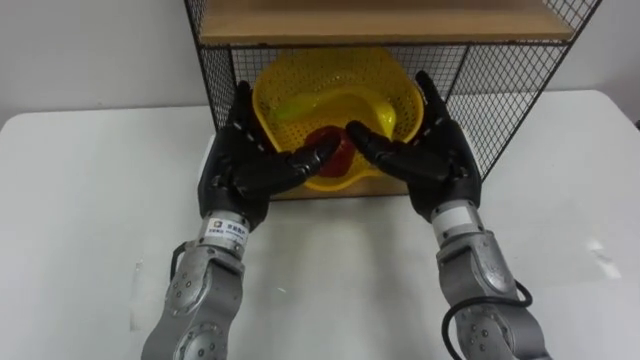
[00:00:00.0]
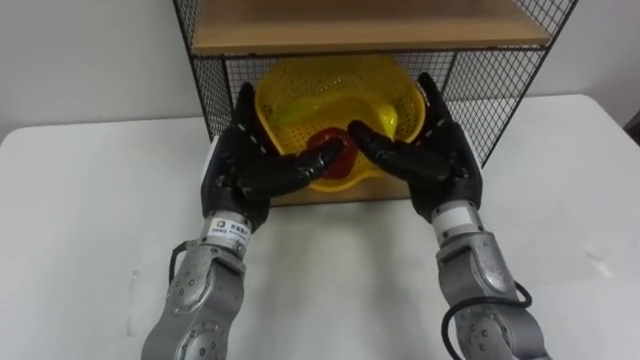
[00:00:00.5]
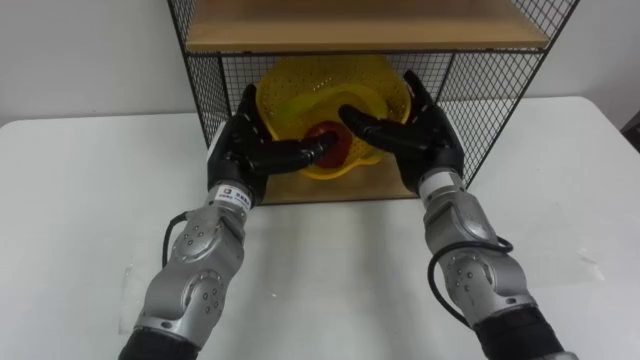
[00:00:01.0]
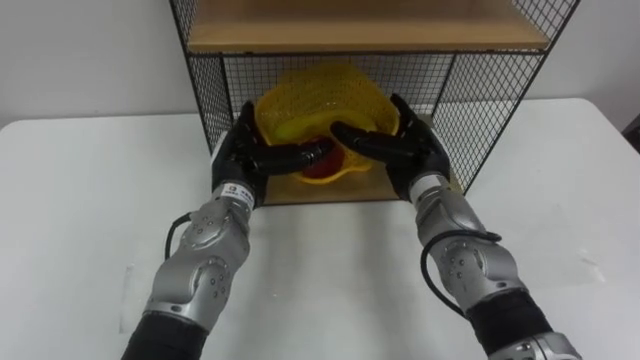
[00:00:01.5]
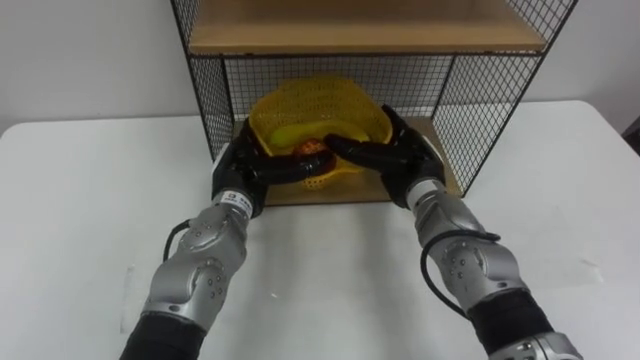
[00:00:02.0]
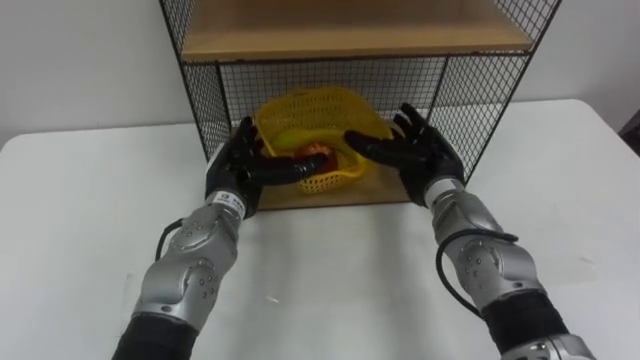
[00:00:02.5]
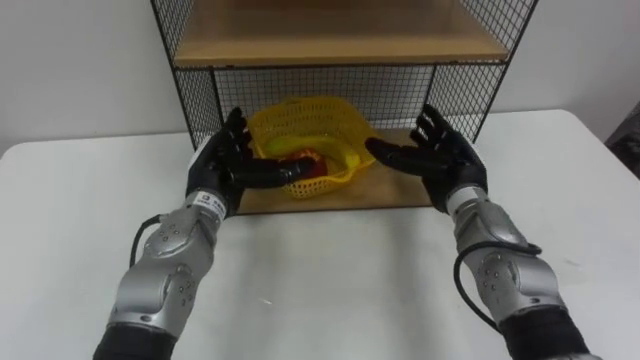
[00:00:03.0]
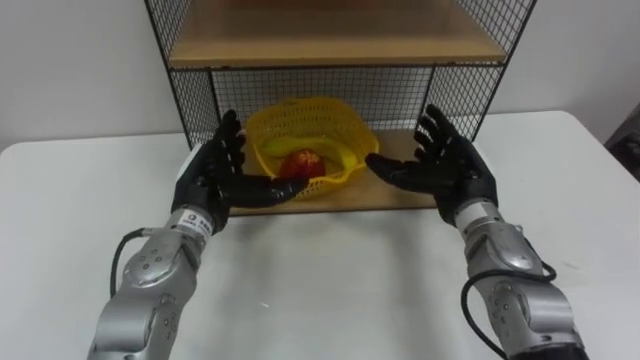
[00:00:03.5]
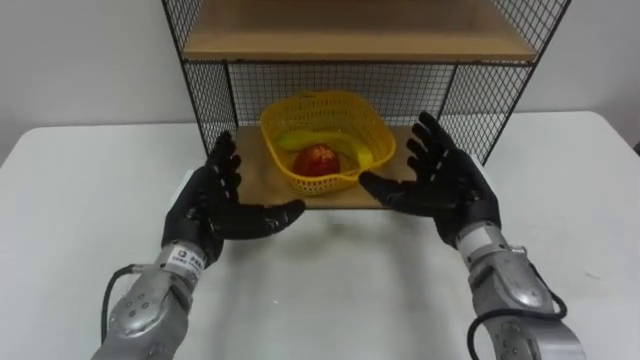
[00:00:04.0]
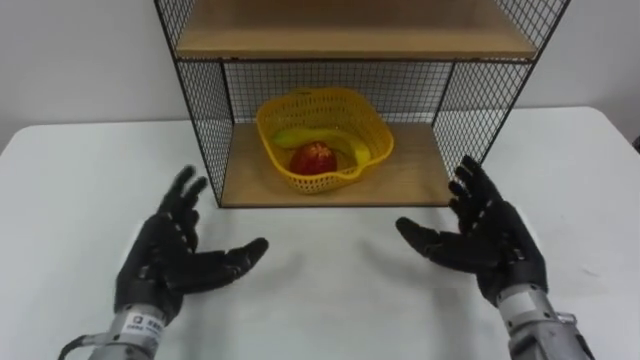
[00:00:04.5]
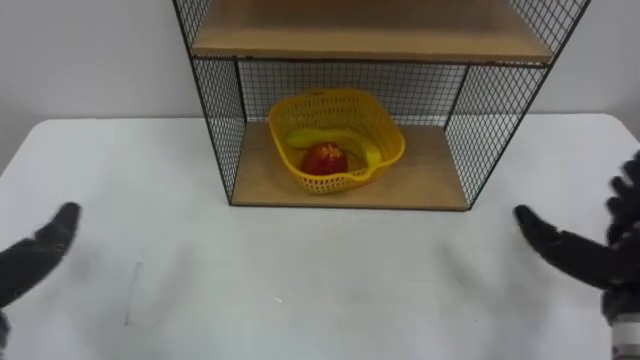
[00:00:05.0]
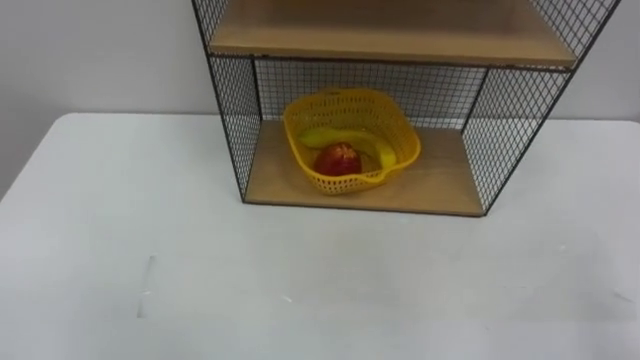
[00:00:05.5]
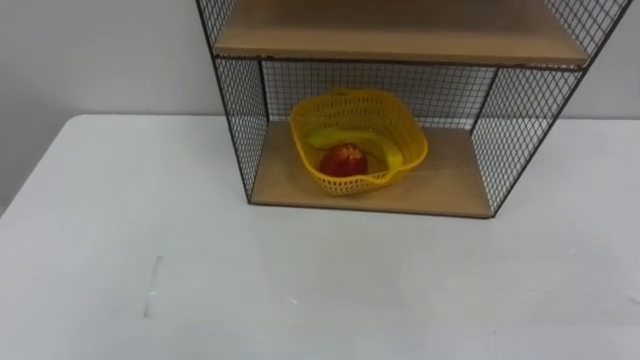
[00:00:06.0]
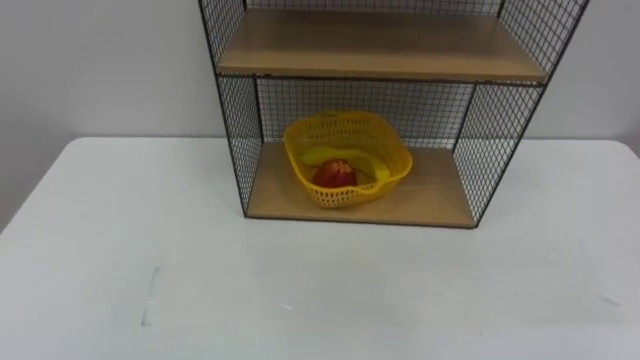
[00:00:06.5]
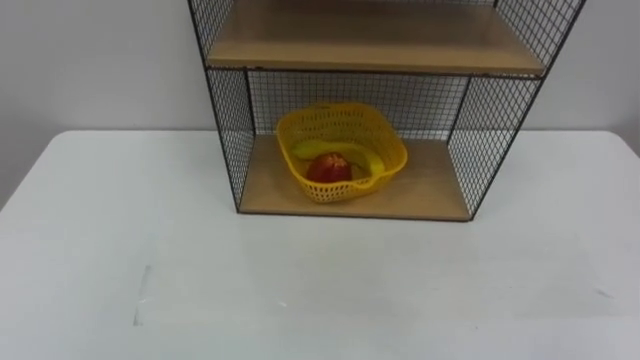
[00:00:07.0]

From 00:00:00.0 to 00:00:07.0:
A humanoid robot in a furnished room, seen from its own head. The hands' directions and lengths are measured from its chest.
Task of the whole recording: Put the fruit on the table into the basket, then place the basket on the shelf.
From 00:00:00.0 to 00:00:02.0: The hands both shift downward by roughly 5 cm.
From 00:00:02.0 to 00:00:03.5: The left hand moves roughly 5 cm. Meanwhile the right hand goes about 5 cm to the right.
From 00:00:03.5 to 00:00:05.0: The right hand heads backward and to the right, covering some 20 cm.

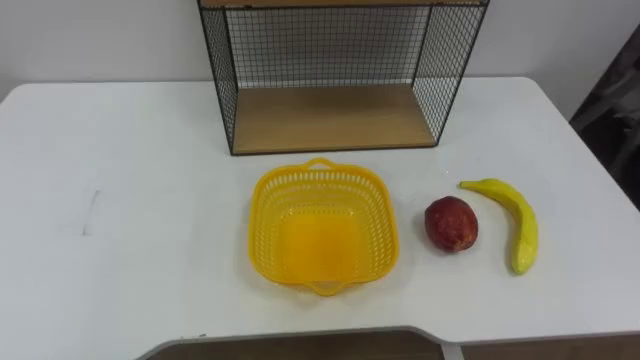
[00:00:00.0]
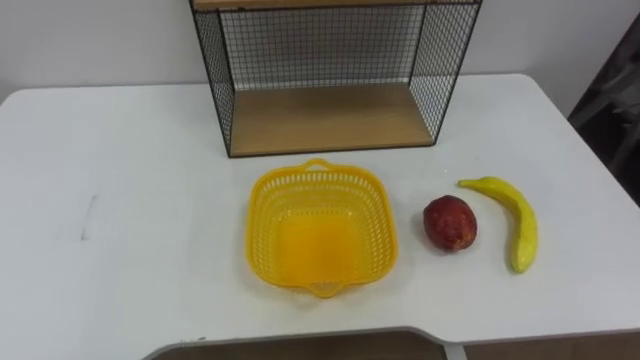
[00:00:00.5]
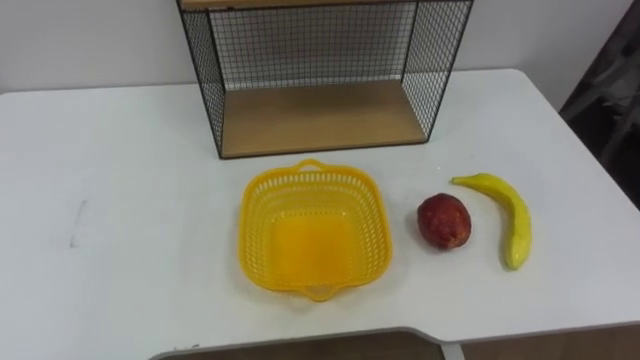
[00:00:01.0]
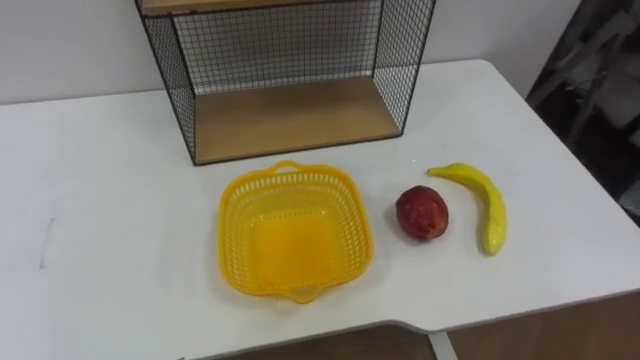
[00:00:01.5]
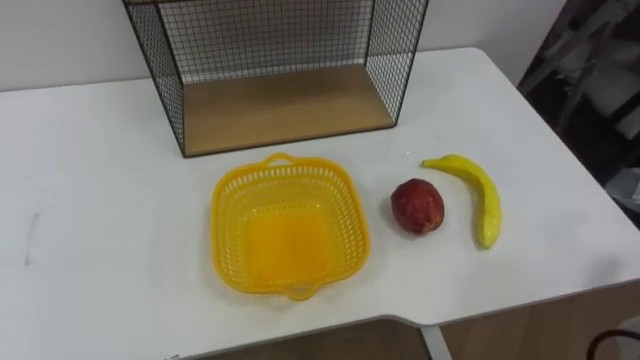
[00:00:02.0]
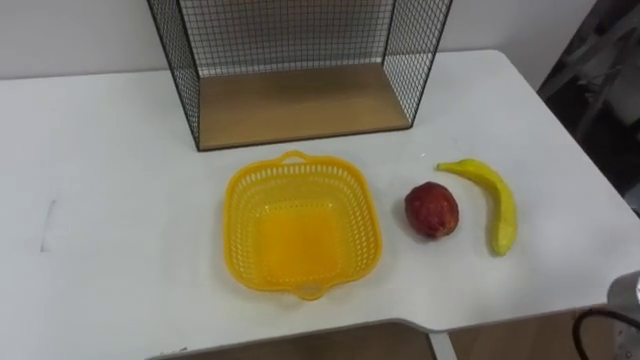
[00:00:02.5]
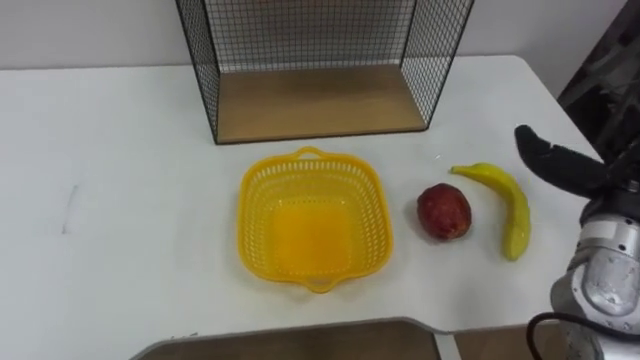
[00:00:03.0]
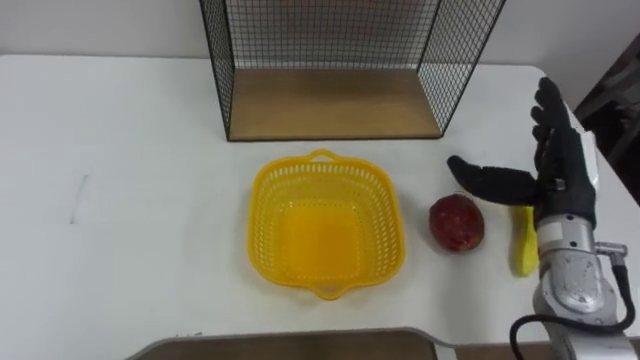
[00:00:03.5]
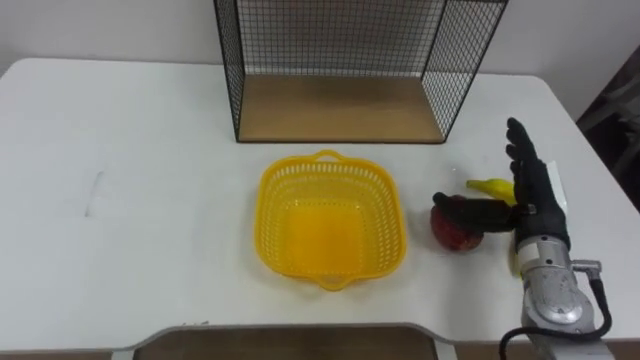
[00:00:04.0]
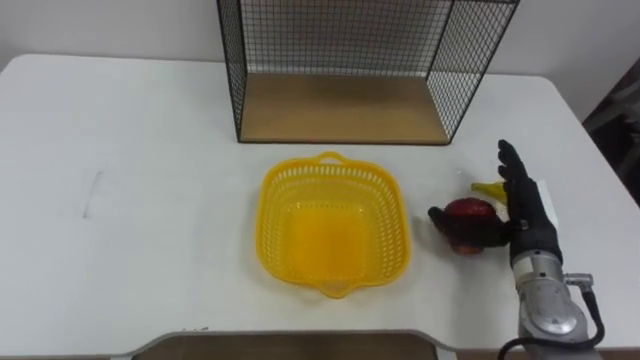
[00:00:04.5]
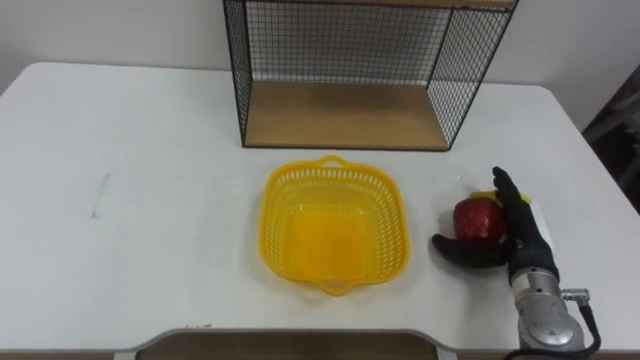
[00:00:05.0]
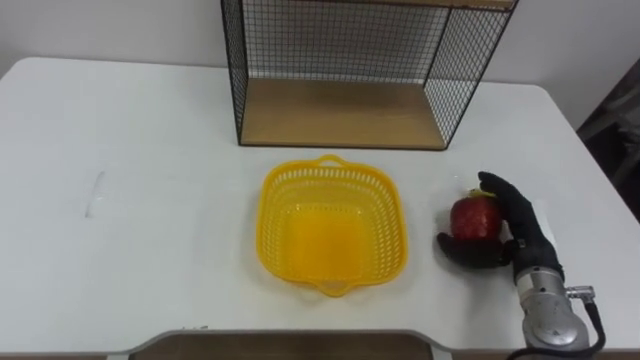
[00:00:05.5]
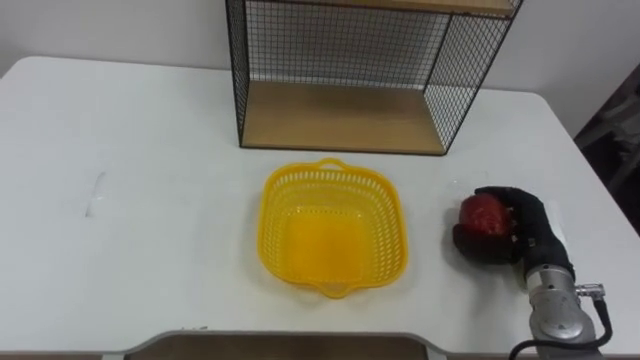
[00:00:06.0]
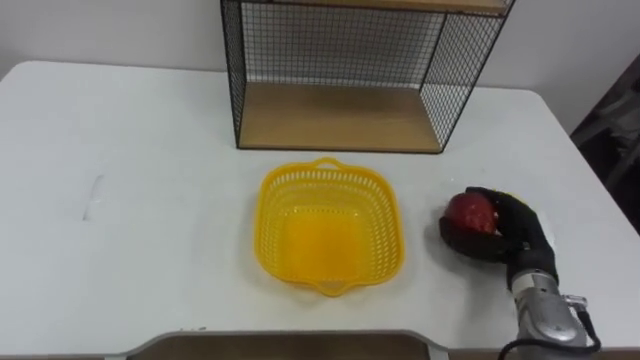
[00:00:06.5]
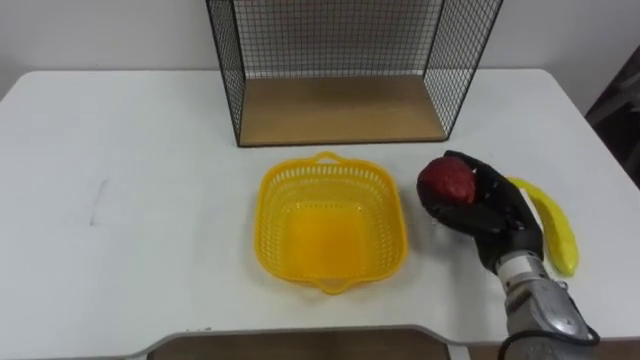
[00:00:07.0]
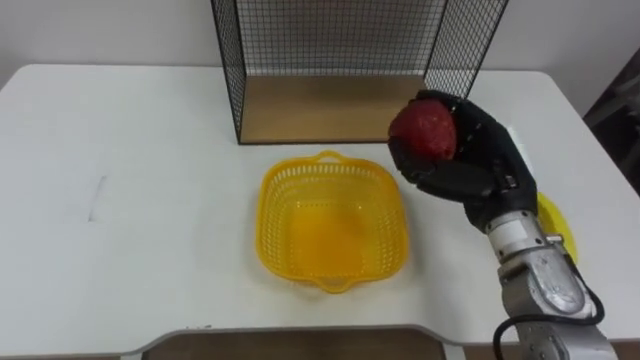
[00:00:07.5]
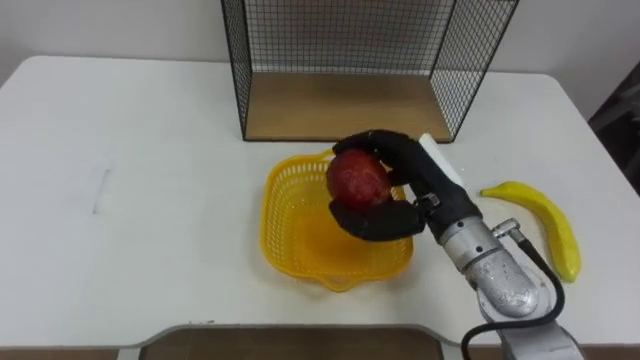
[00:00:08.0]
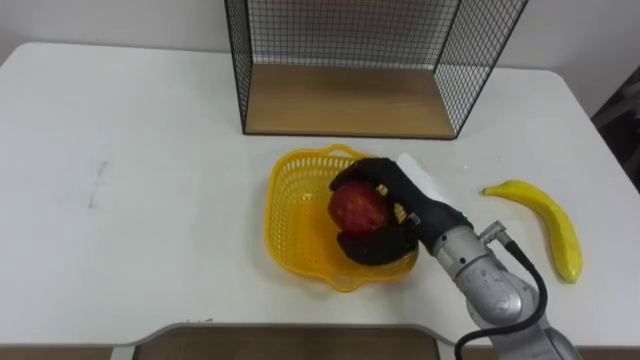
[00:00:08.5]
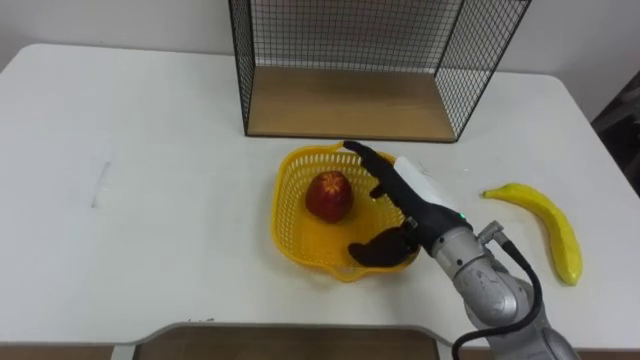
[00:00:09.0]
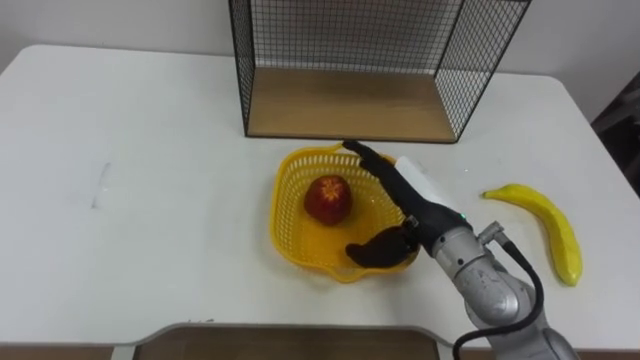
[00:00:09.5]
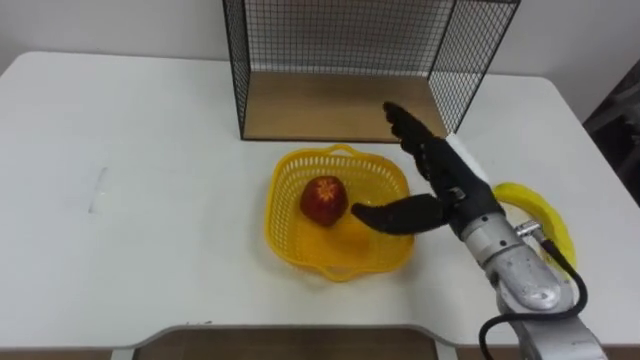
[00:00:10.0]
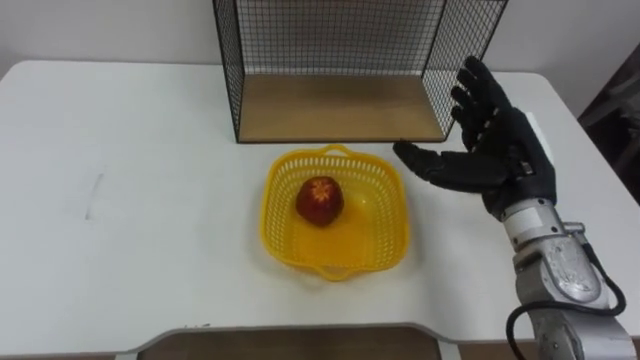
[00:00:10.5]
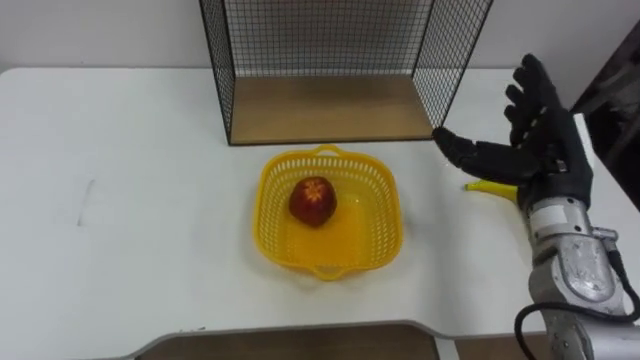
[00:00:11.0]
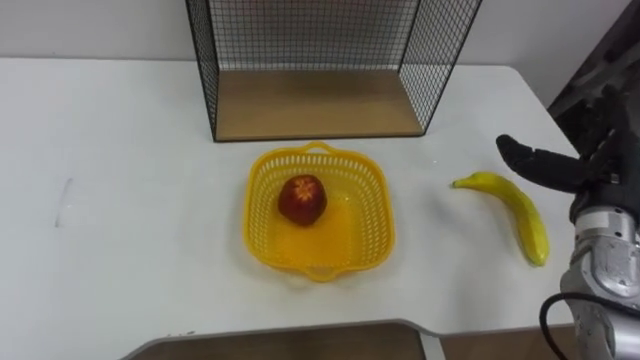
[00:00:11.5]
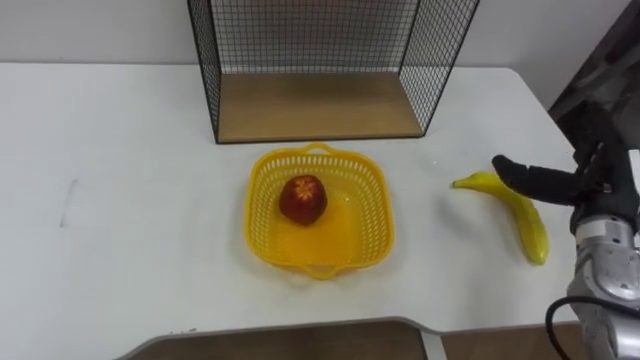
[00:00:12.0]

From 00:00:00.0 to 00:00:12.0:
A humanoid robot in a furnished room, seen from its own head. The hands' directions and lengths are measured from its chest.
Task of the whole recording: Put the fruit on the table into the basket, then place the basket on the shelf.
From 00:00:04.0 to 00:00:06.0: The right hand goes approximately 5 cm downward, and closes up.
From 00:00:06.0 to 00:00:08.0: The right hand heads to the left and upward, covering approximately 20 cm.
From 00:00:08.0 to 00:00:10.0: The right hand opens its fingers.
From 00:00:10.0 to 00:00:12.0: The right hand moves to the right, roughly 15 cm.

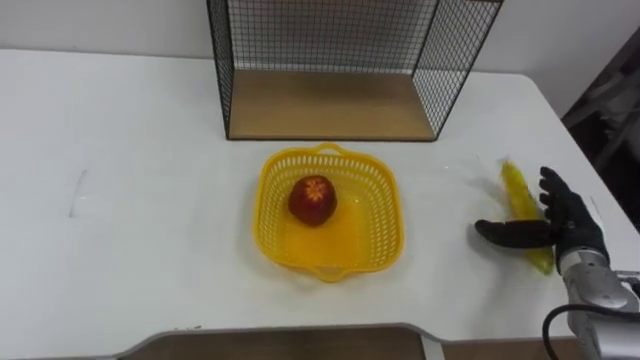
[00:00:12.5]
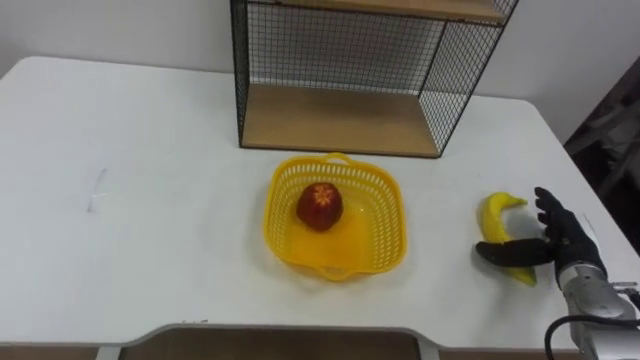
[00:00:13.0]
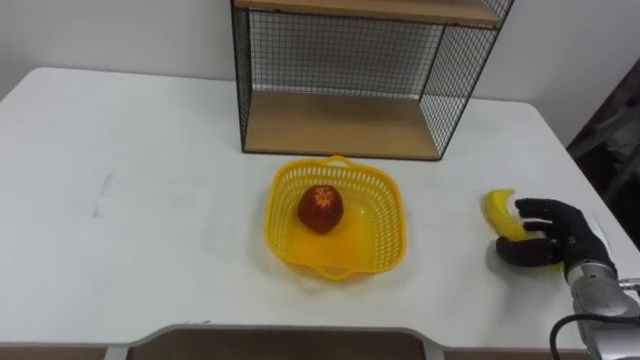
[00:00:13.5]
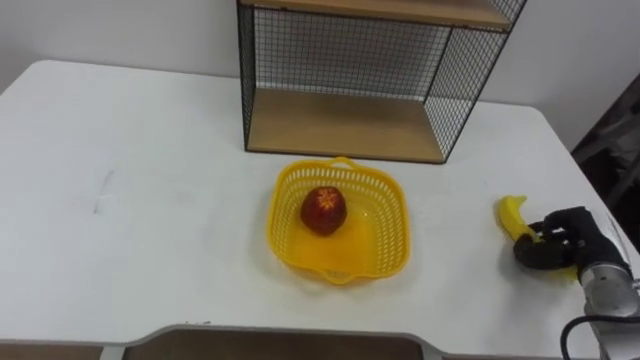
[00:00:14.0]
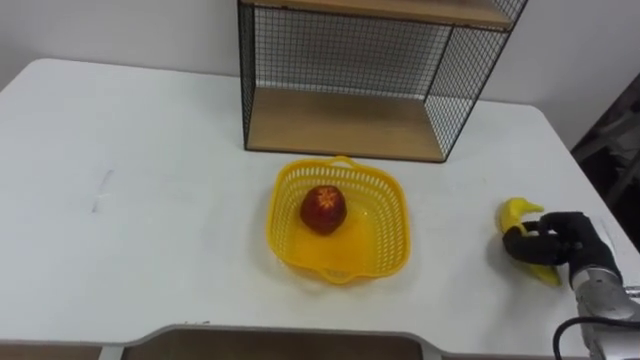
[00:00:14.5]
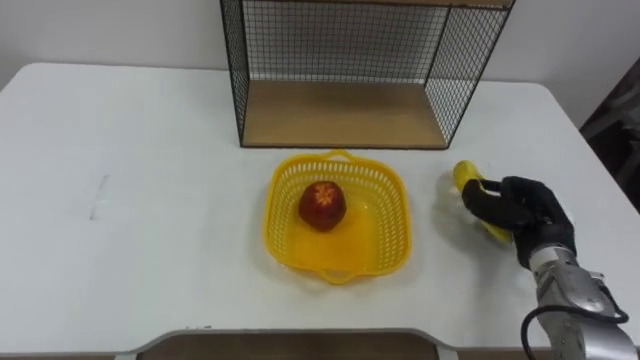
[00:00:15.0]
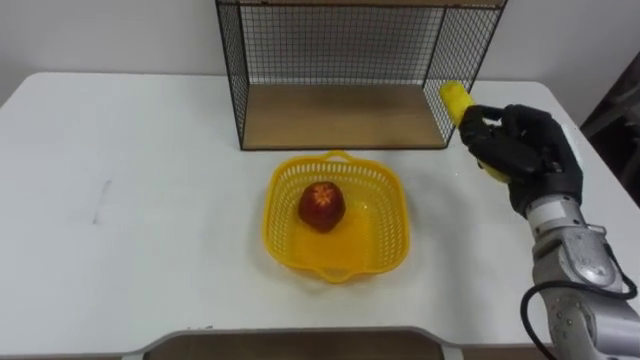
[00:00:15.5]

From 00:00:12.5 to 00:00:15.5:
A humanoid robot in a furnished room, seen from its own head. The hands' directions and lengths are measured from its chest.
Task of the whole recording: Put the fruit on the table into the basket, then place the basket on the shelf.
From 00:00:12.5 to 00:00:14.0: The right hand closes up.
From 00:00:14.0 to 00:00:15.5: The right hand shifts approximately 15 cm upward and to the left.
